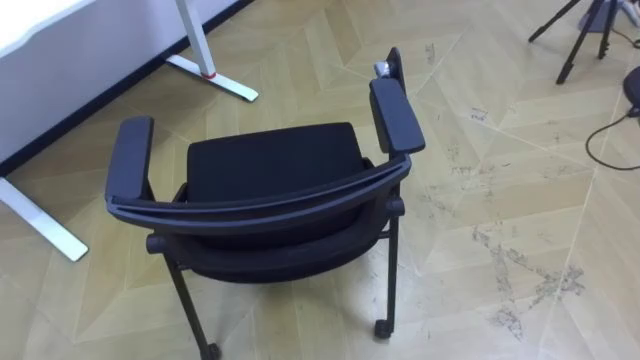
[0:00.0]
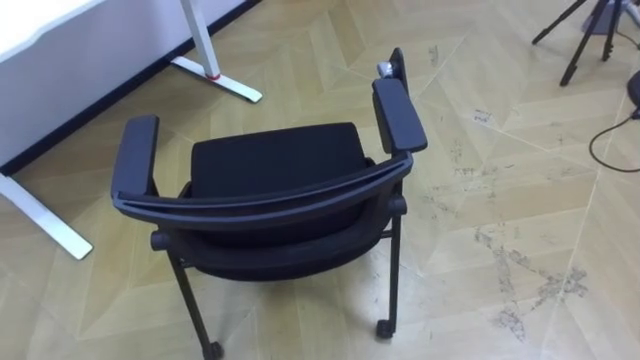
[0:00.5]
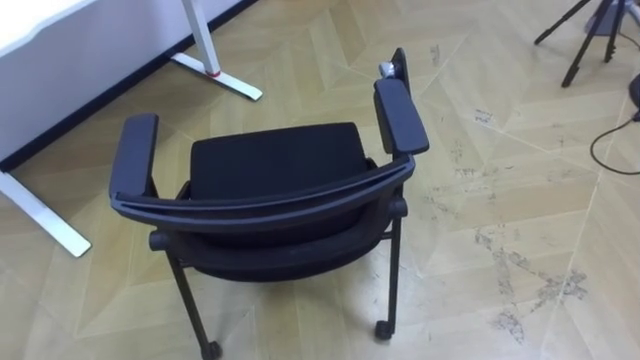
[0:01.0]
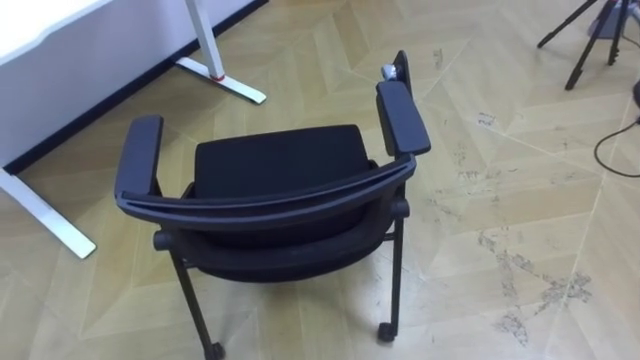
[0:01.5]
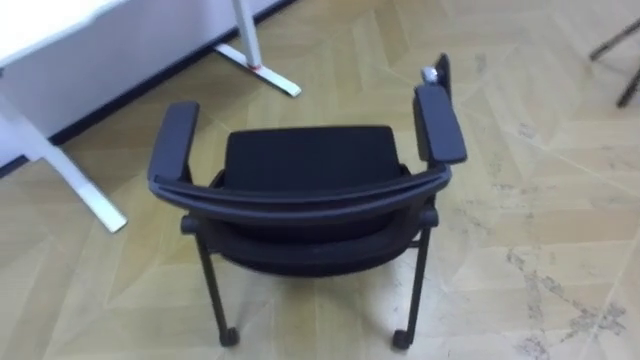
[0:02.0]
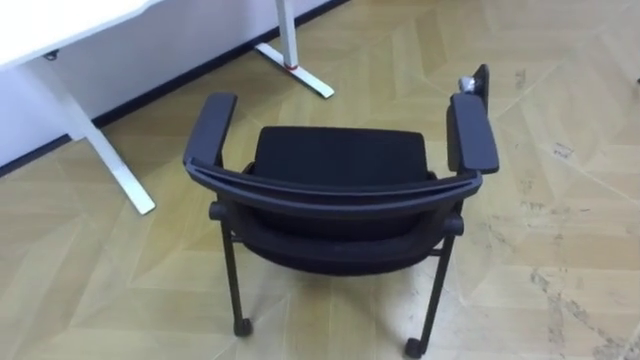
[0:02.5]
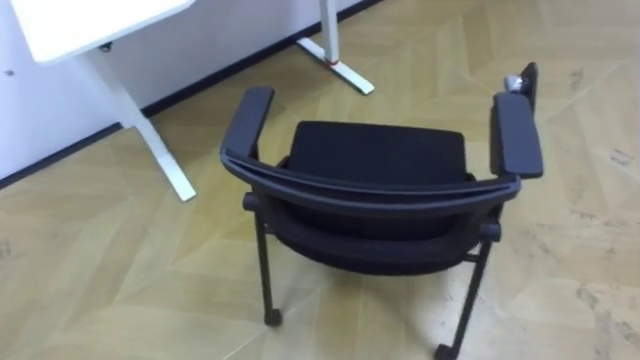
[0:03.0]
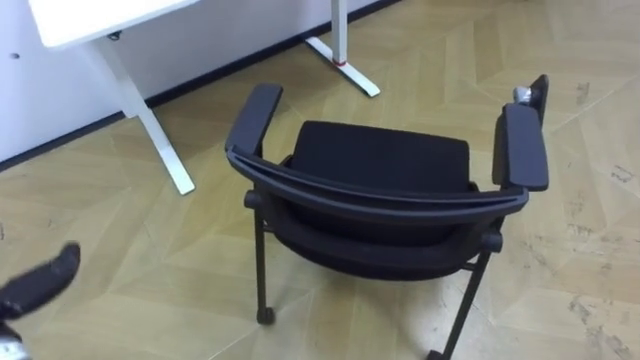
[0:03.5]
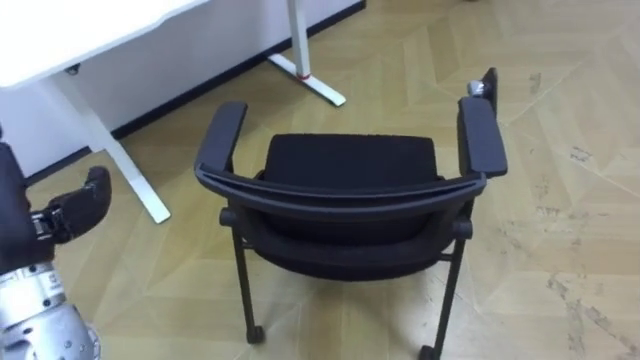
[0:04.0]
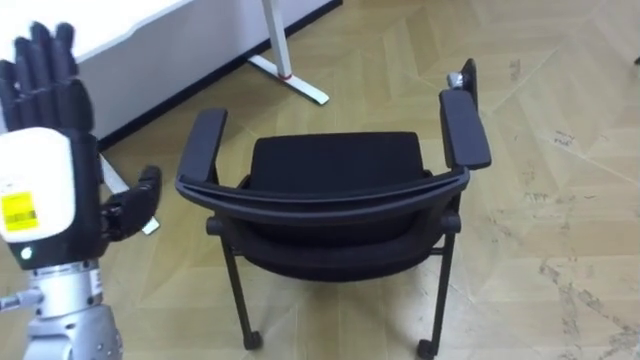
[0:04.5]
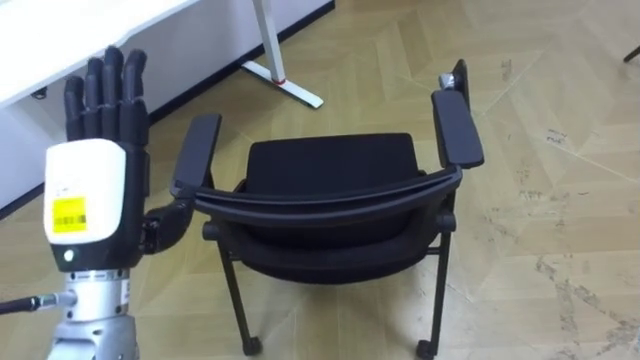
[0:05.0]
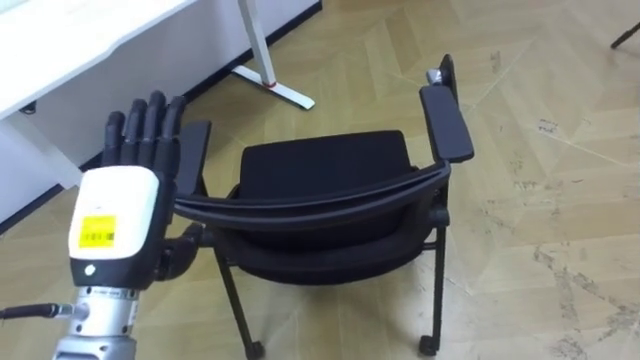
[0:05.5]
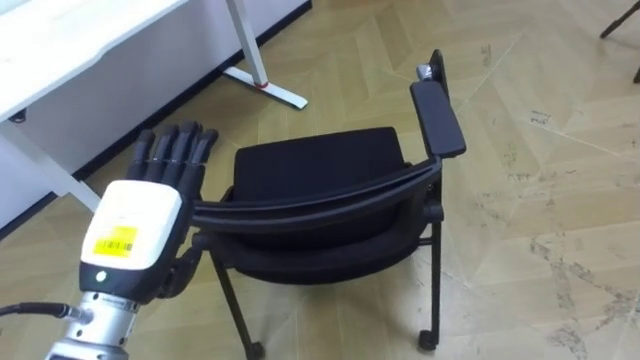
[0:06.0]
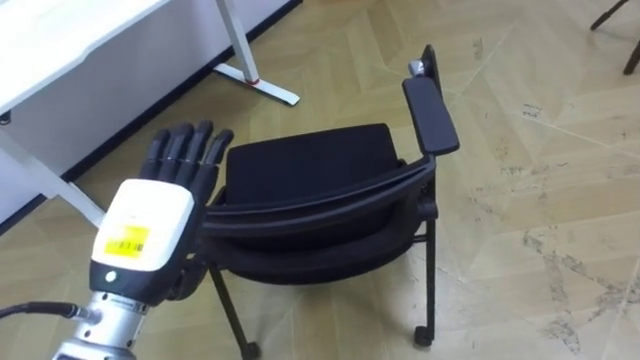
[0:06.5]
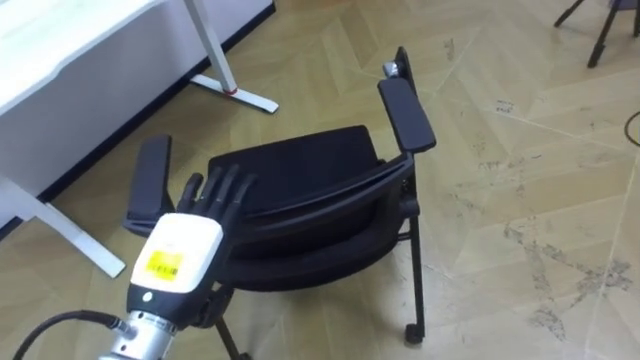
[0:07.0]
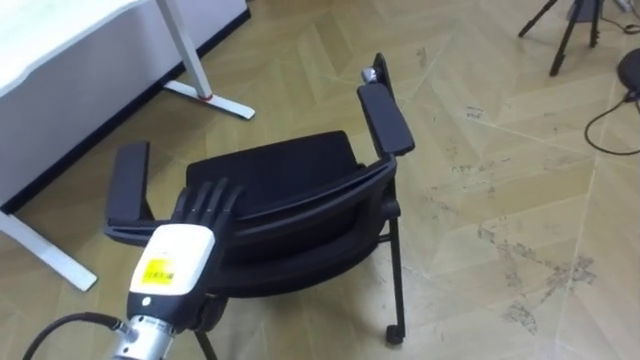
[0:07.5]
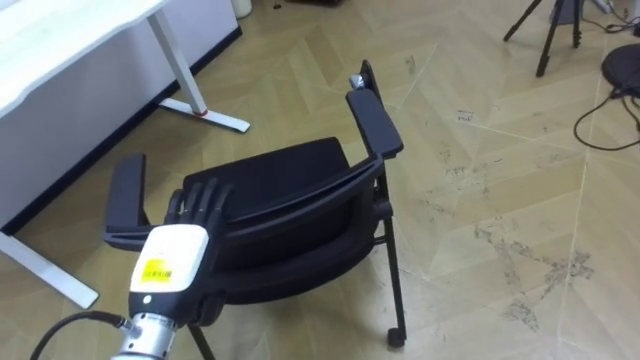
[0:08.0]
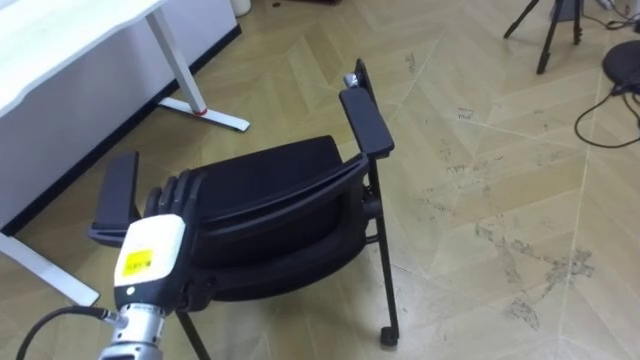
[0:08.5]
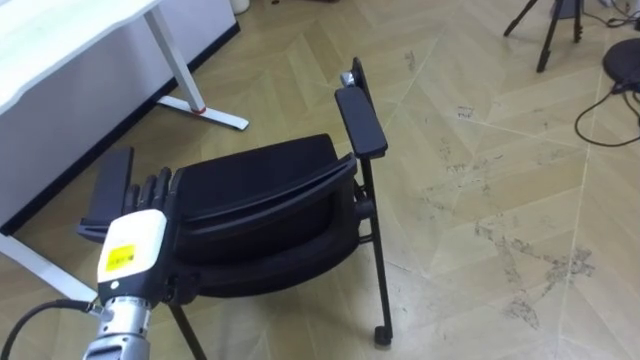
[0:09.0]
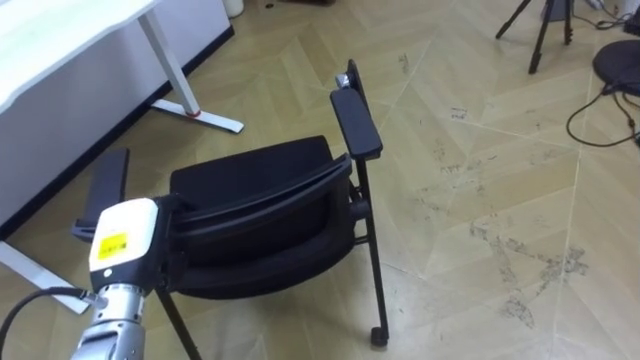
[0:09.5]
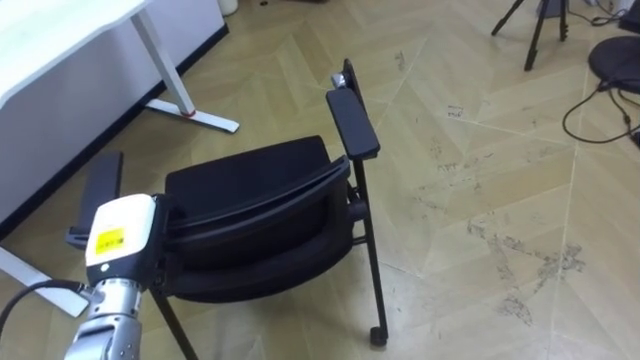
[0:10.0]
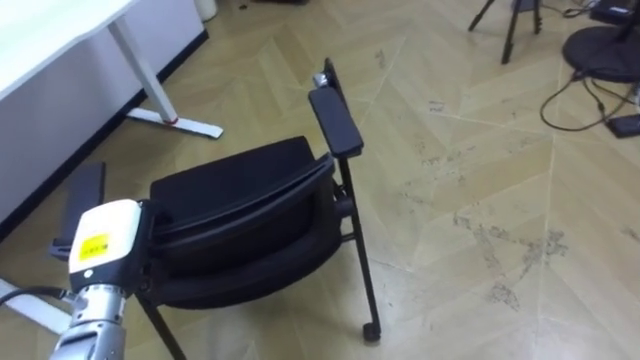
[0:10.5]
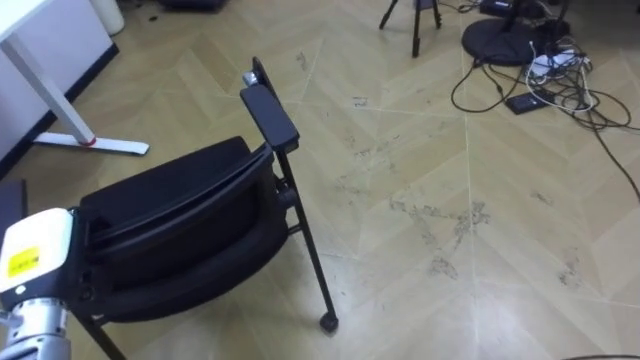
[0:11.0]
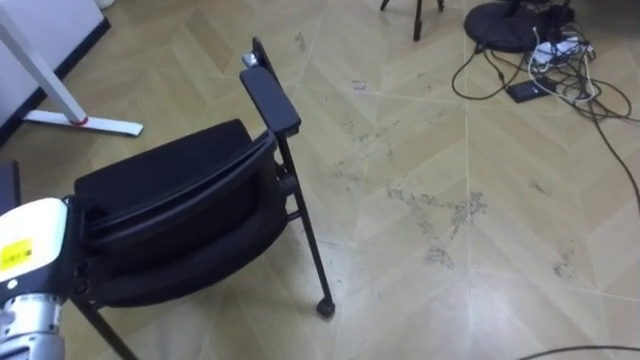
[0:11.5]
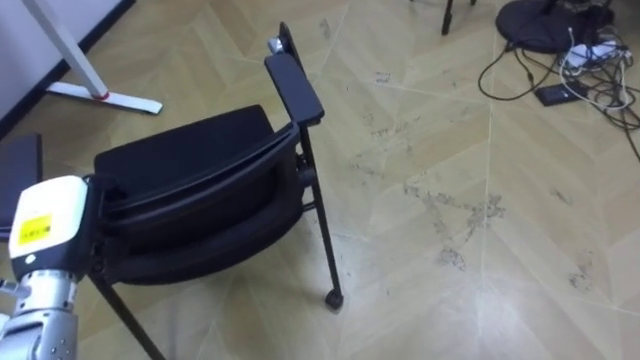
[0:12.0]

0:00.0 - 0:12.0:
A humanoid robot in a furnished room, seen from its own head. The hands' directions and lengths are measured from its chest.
Task of the whole recording: Push the chair under the table.
0:06.0 - 0:08.0: The left hand is displaced downward by about 10 cm.
0:08.0 - 0:10.0: The left hand shifts approximately 5 cm to the left, and closes up.
0:10.0 - 0:12.0: The left hand shifts about 5 cm to the left.

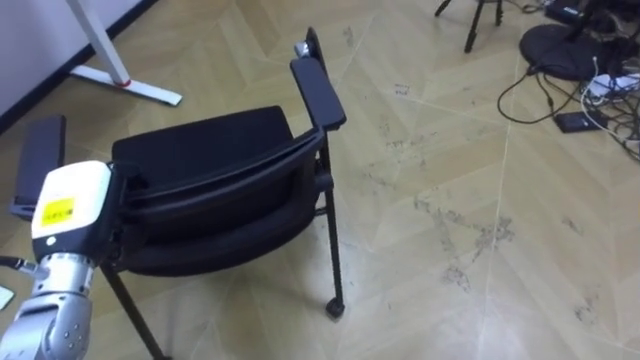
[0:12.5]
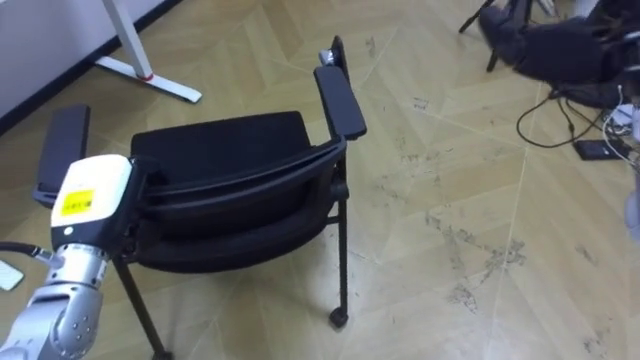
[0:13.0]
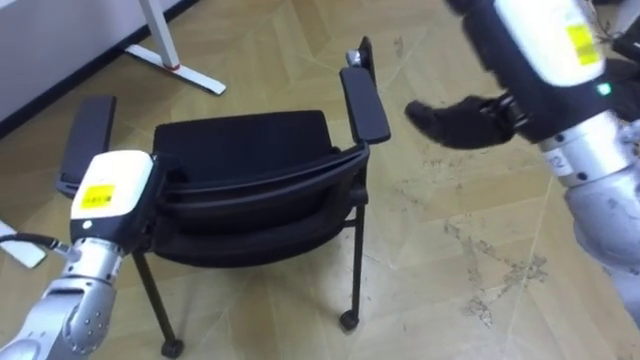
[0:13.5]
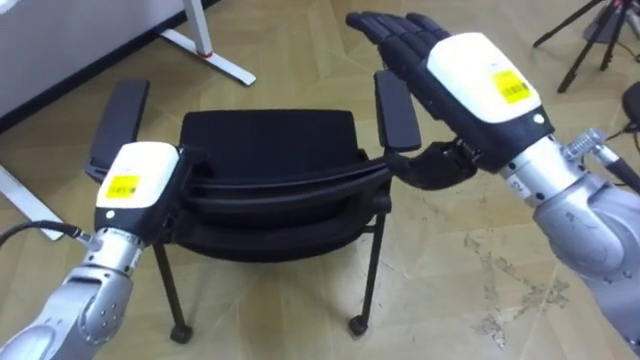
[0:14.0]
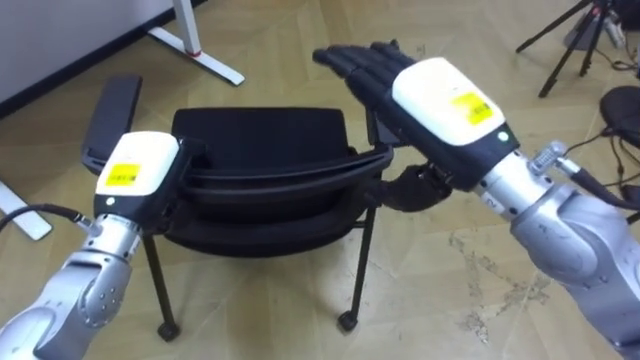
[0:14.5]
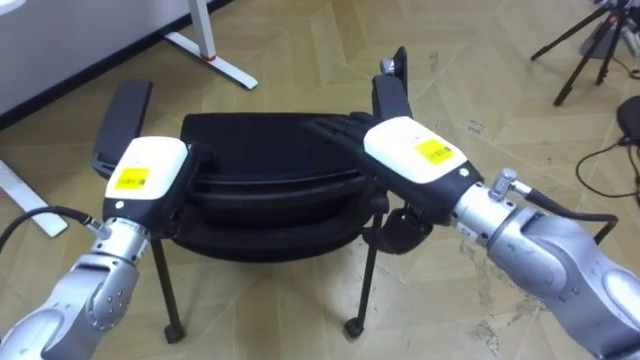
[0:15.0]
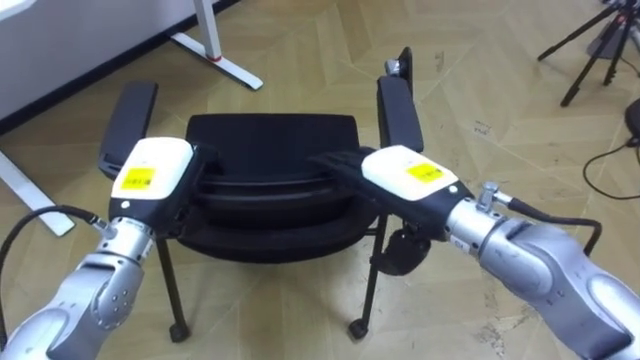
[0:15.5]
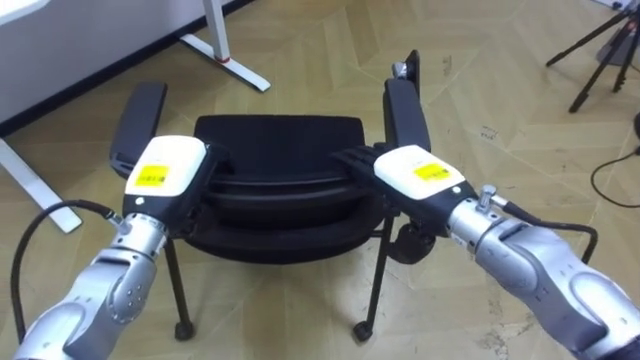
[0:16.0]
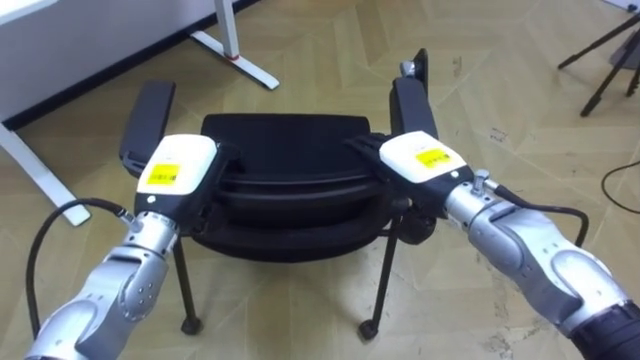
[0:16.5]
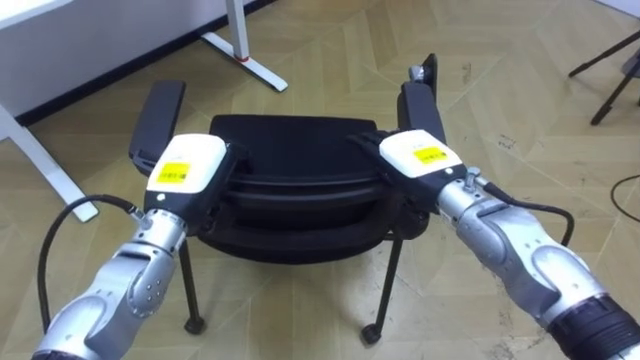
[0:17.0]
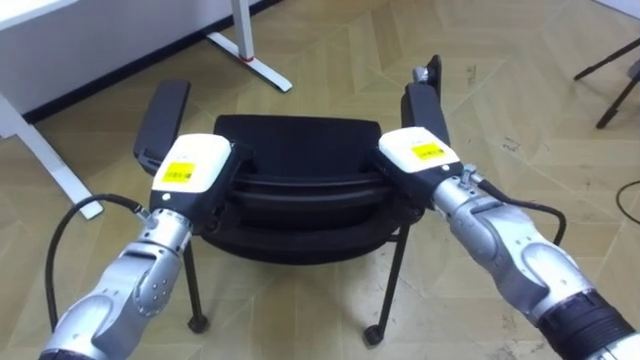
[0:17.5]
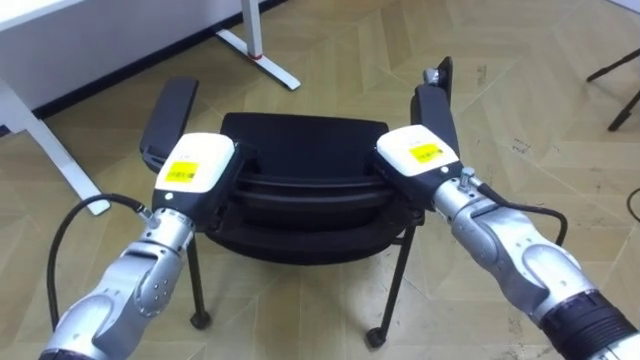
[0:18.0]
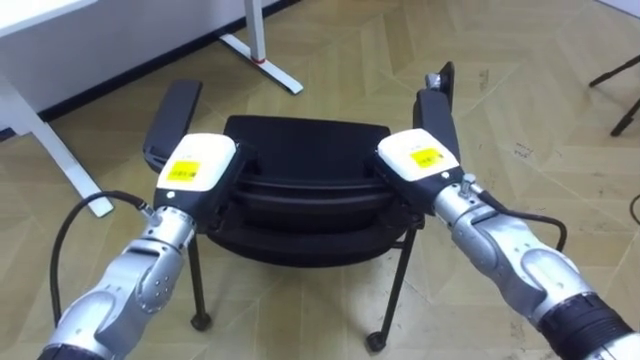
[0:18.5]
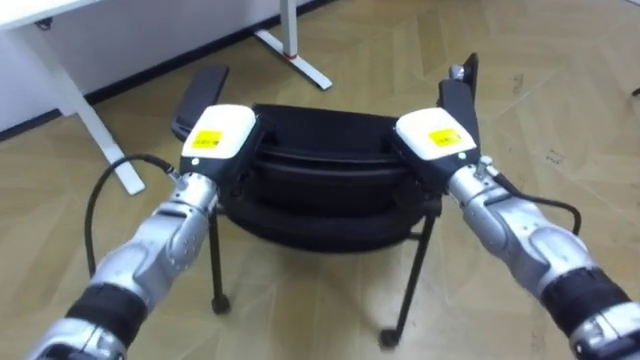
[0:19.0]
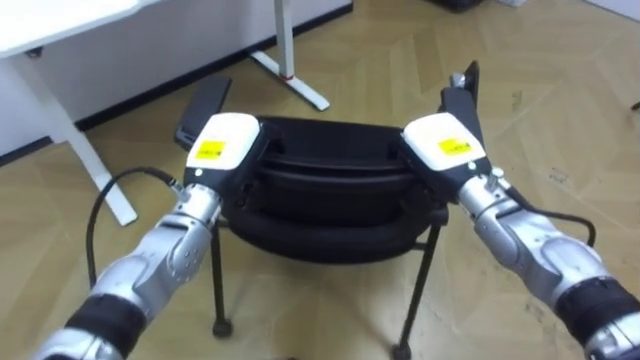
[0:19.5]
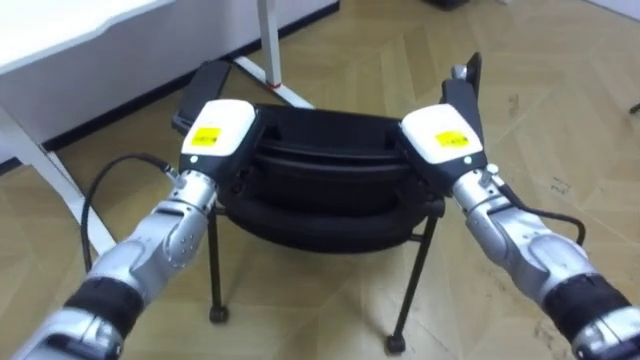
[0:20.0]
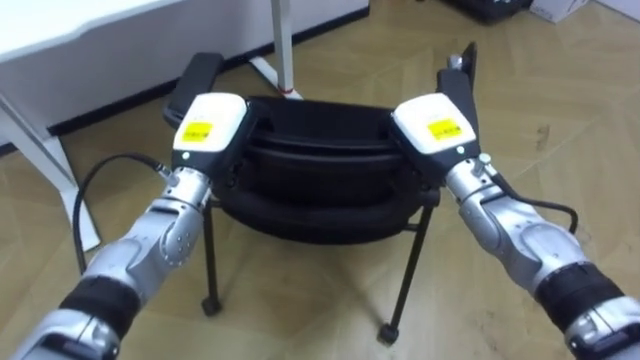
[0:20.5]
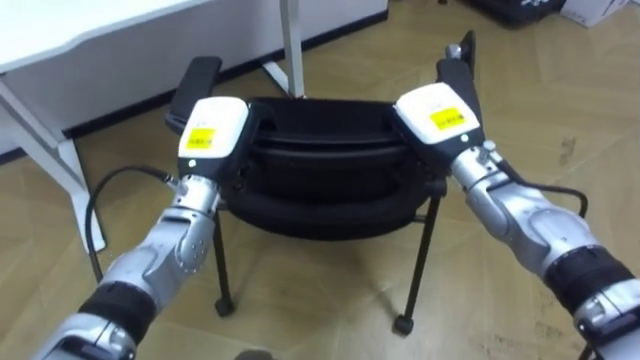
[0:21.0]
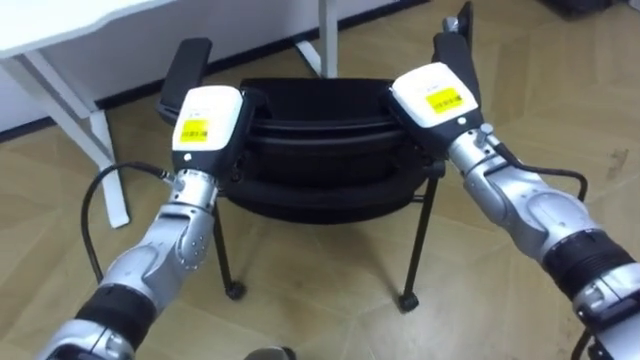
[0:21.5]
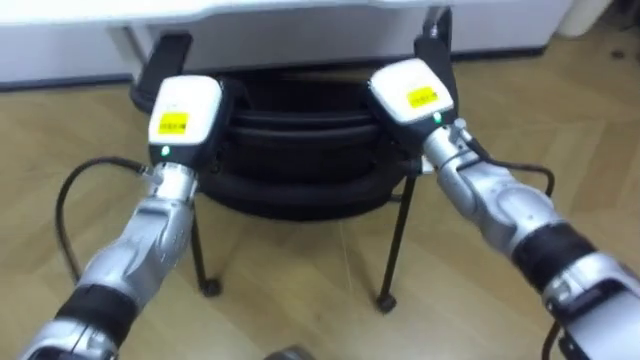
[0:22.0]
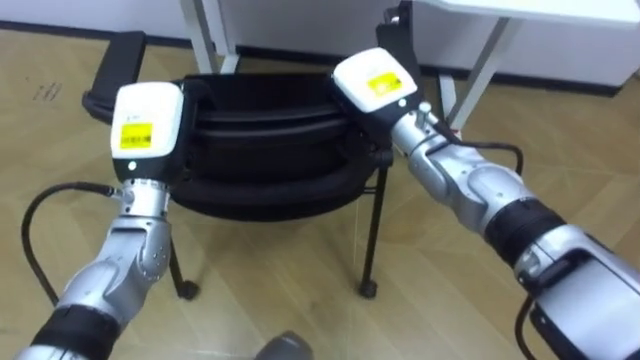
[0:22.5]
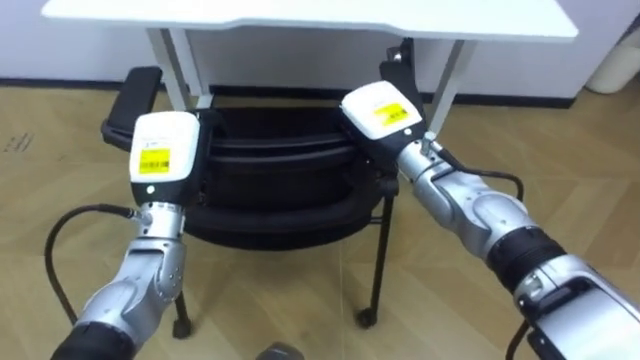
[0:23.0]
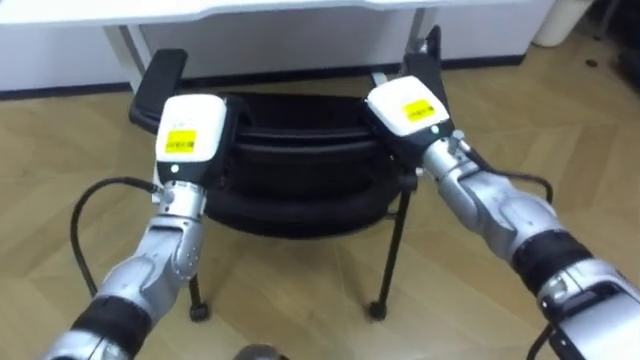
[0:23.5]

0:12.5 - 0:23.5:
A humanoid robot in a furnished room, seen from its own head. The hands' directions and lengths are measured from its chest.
Task of the whole recording: Push the chair under the table.
0:12.5 - 0:14.5: The left hand heads to the right, covering some 5 cm.
0:14.5 - 0:16.0: The right hand goes approximately 10 cm downward.
0:16.0 - 0:18.0: The right hand closes.
0:18.0 - 0:20.0: The left hand ends up about 5 cm from where it was.
0:20.0 - 0:21.5: The right hand changes place by approximately 5 cm.
